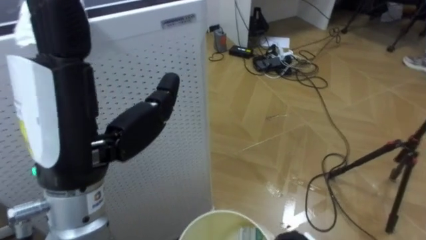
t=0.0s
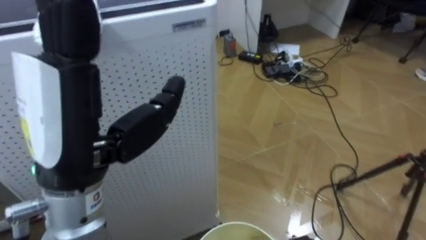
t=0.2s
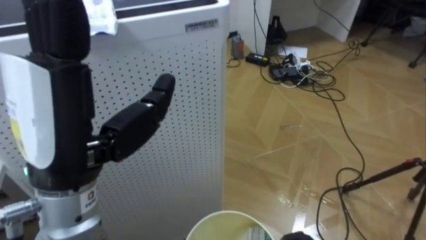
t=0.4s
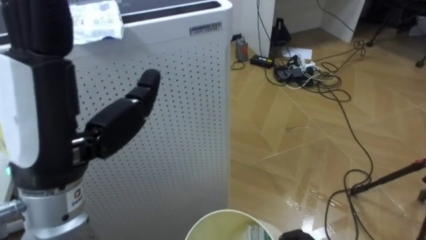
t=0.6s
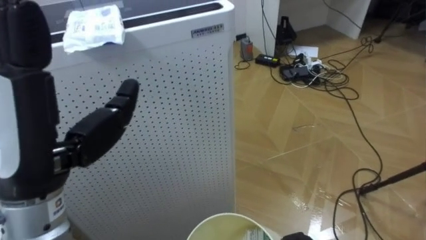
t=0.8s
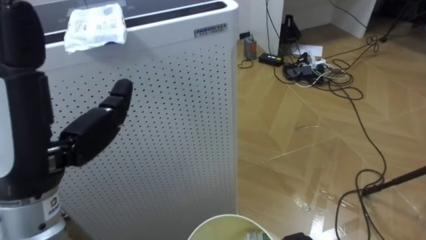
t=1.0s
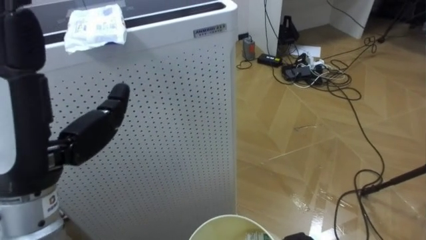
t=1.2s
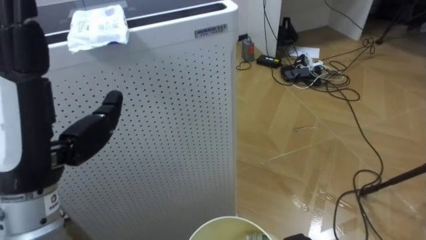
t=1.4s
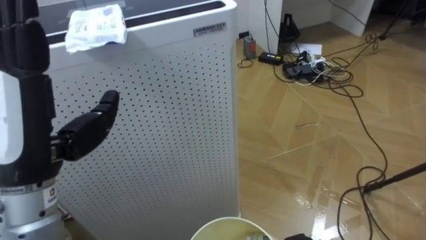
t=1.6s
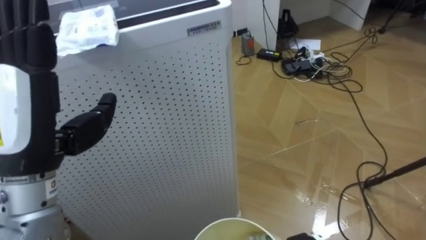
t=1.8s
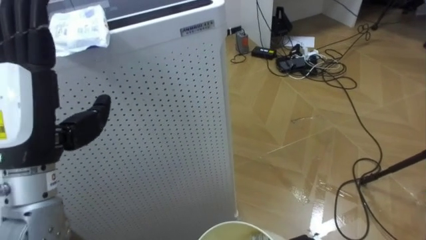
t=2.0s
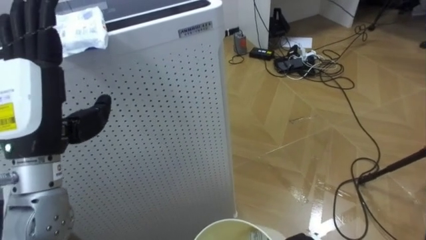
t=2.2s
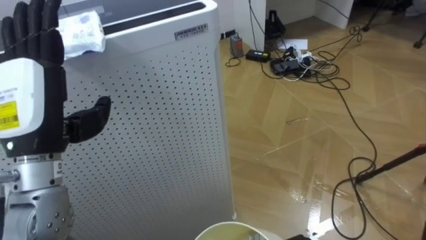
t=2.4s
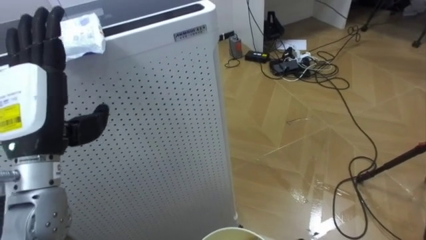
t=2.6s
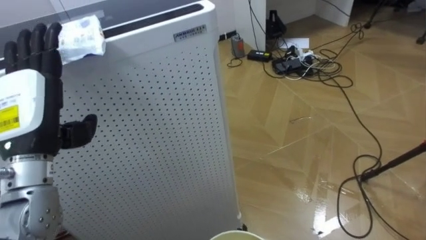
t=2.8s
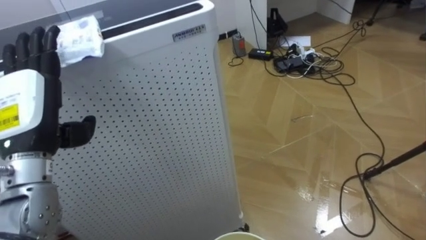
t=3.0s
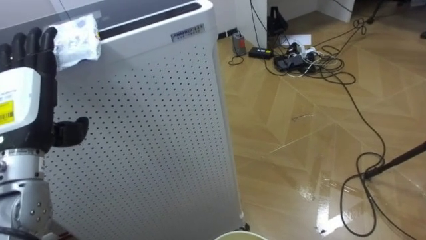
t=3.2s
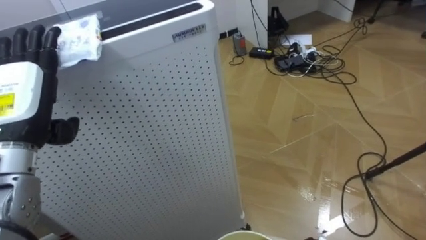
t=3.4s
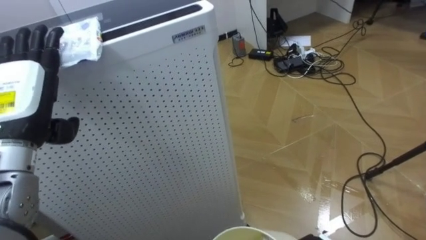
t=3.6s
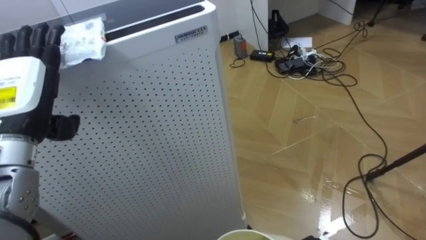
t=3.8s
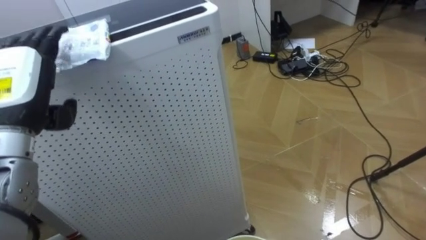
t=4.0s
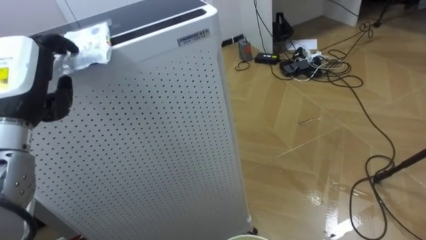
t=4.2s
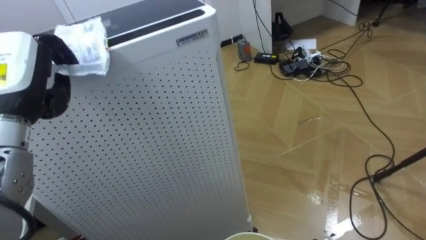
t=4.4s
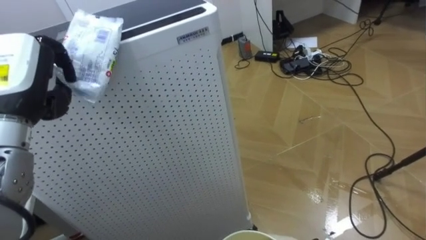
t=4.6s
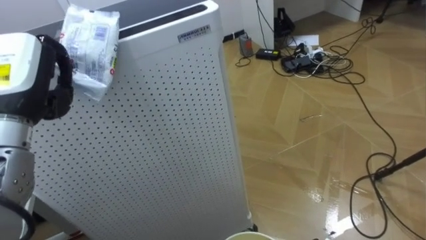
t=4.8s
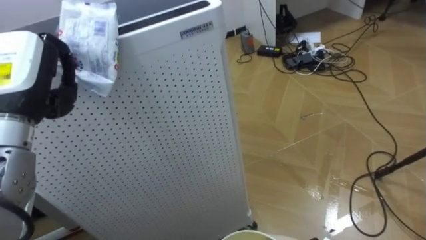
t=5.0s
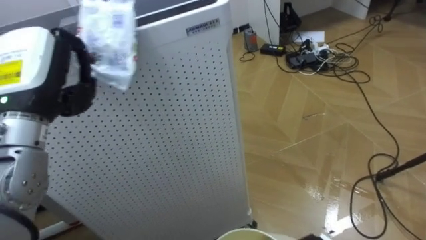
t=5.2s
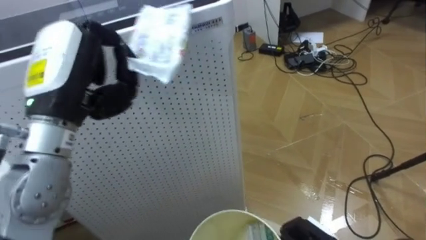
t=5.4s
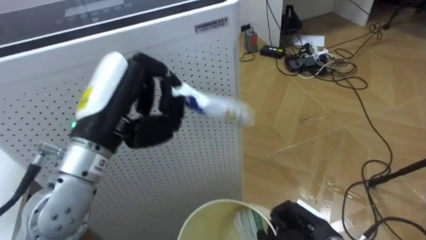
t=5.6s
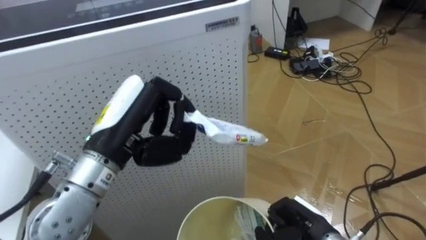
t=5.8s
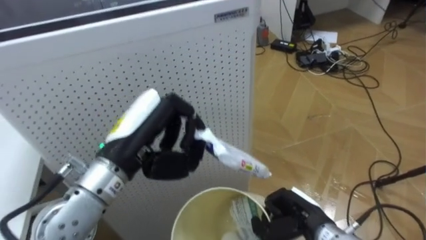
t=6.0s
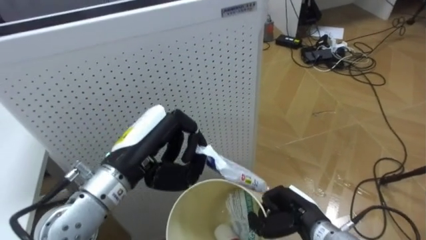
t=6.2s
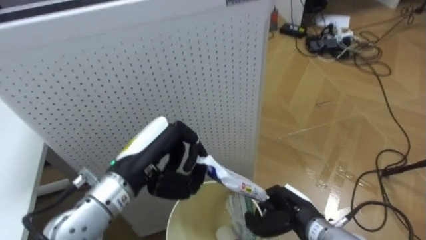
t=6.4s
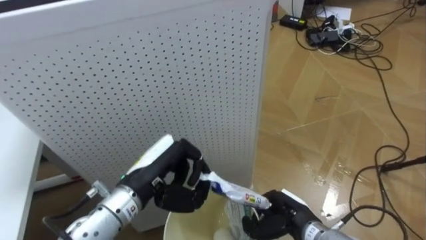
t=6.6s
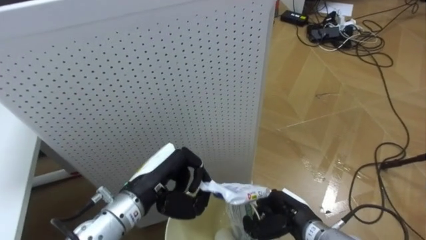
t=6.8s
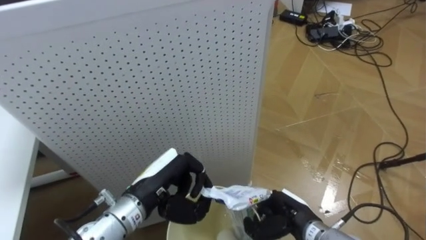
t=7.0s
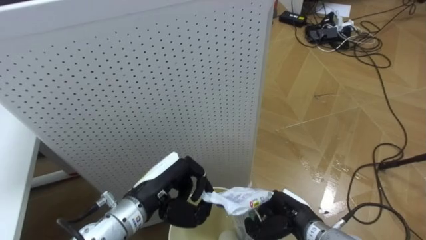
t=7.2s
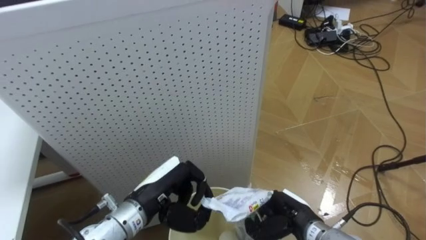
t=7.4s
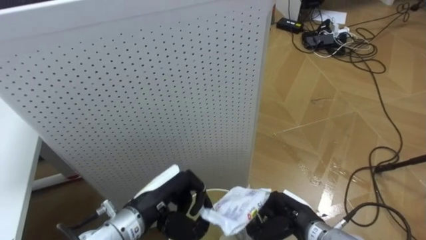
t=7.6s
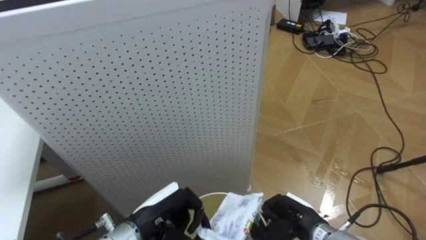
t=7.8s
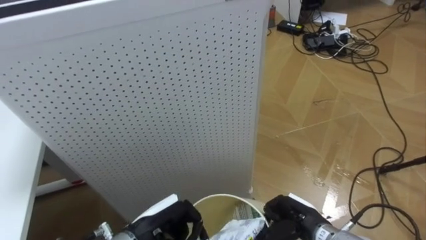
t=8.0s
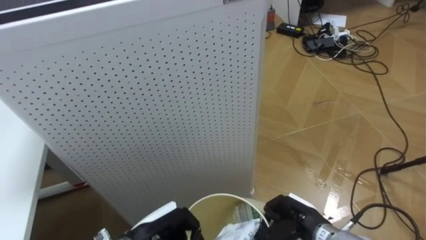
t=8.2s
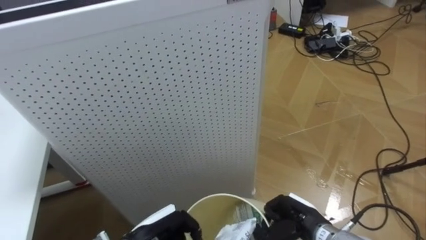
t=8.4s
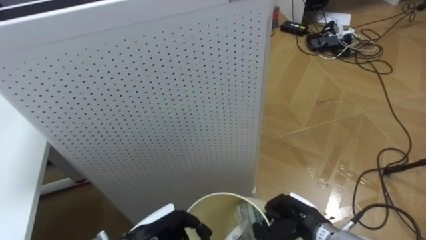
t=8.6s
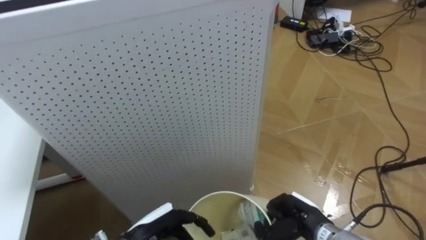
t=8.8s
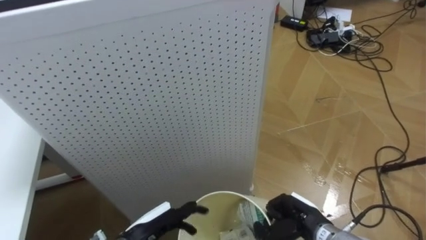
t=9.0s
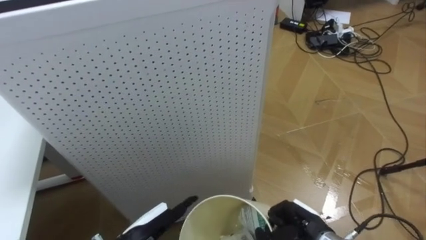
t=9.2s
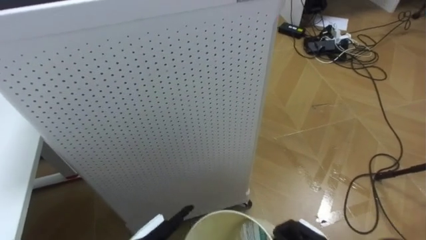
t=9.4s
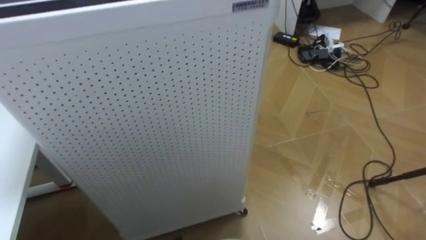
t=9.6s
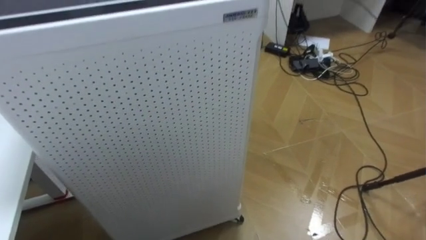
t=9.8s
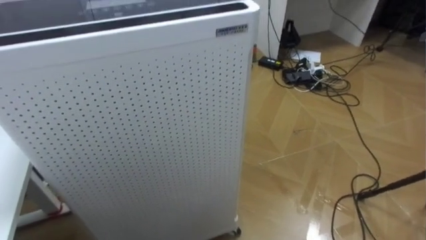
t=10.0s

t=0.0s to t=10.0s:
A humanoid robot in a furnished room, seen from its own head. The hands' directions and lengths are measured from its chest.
Task of the whole recording: Pick up the light blue package, the candy box, and the dark blue package separately, and put them into the trash can held in your right hand.
t=0.0s to t=1.4s: The left hand moves to the left, approximately 5 cm.
t=1.4s to t=2.8s: The left hand shifts some 10 cm forward, downward and to the left.
t=2.8s to t=4.2s: The left hand closes its fingers.
t=4.2s to t=5.8s: The left hand goes about 15 cm to the right, and closes.
t=5.8s to t=7.2s: The left hand moves downward, some 15 cm.
t=7.2s to t=8.6s: The left hand is displaced downward by some 10 cm, and opens up.

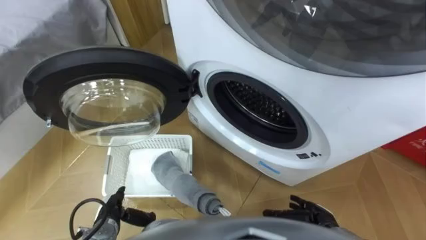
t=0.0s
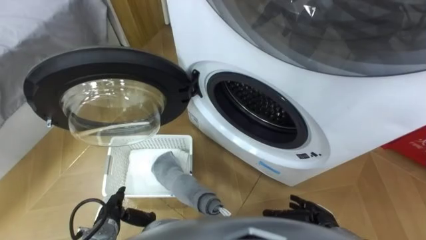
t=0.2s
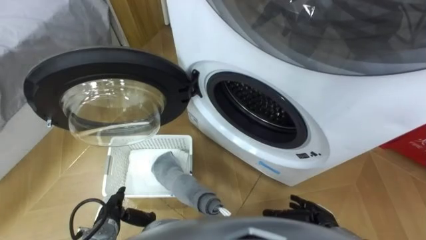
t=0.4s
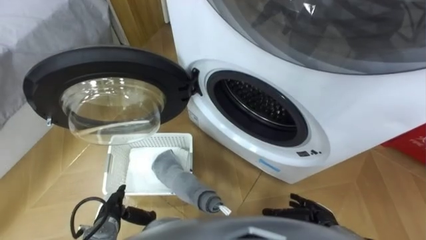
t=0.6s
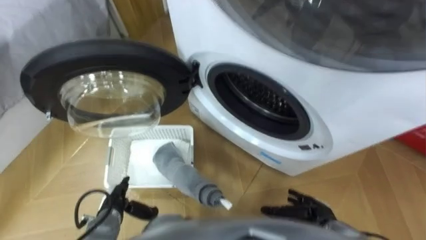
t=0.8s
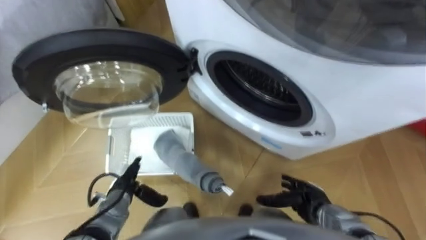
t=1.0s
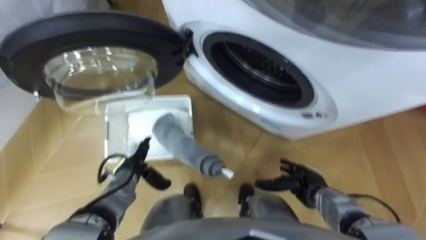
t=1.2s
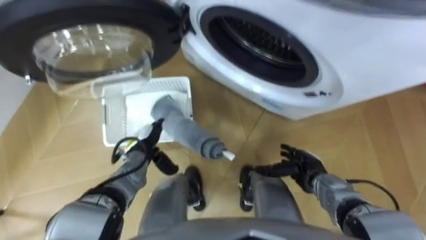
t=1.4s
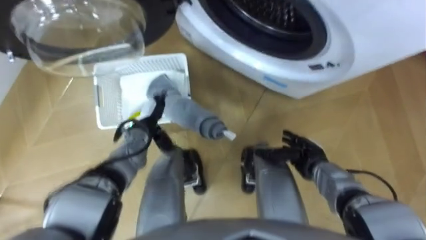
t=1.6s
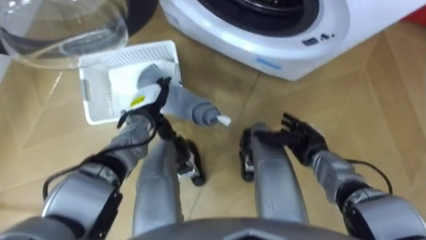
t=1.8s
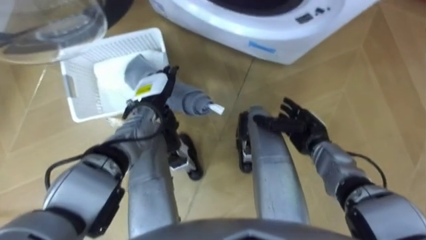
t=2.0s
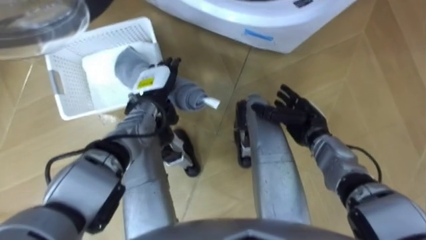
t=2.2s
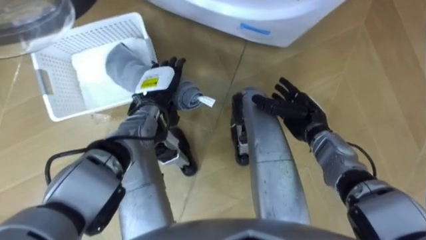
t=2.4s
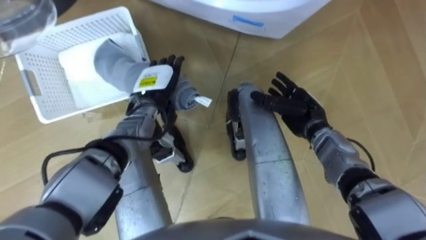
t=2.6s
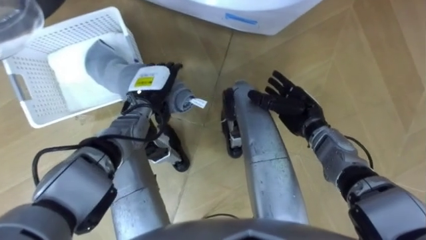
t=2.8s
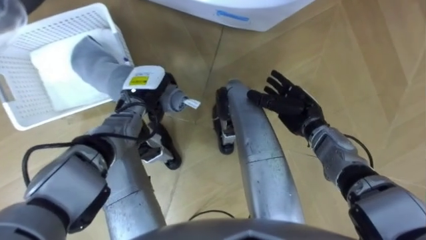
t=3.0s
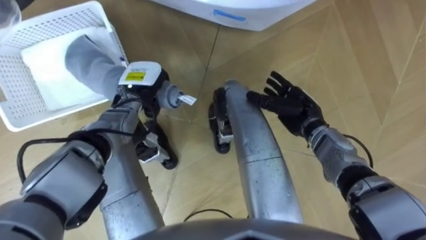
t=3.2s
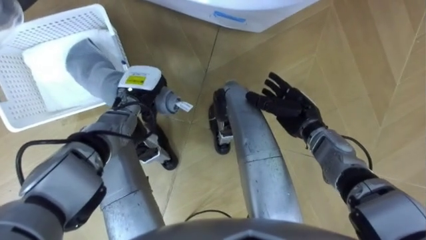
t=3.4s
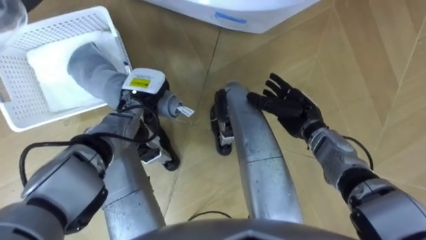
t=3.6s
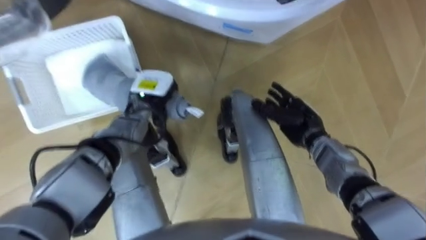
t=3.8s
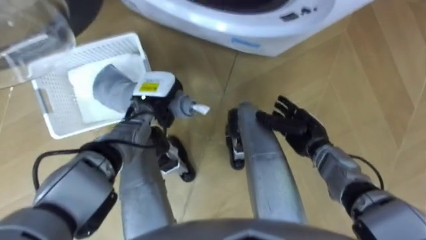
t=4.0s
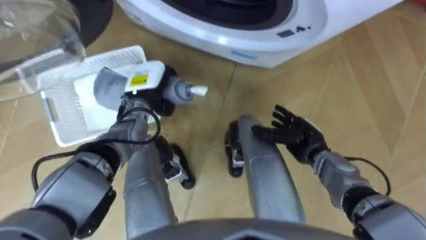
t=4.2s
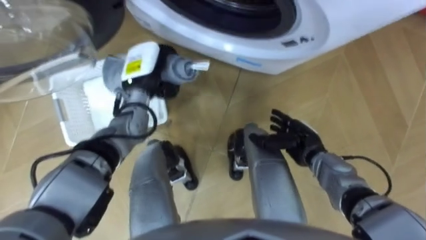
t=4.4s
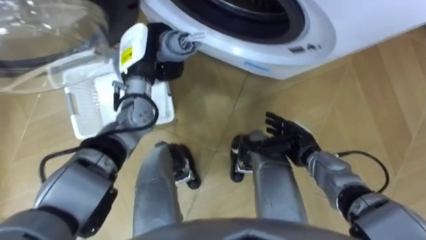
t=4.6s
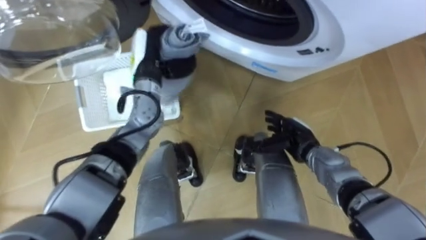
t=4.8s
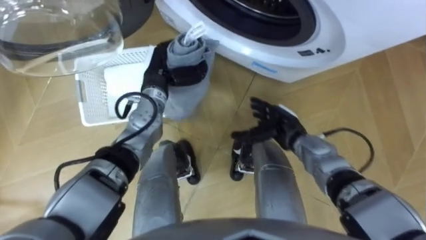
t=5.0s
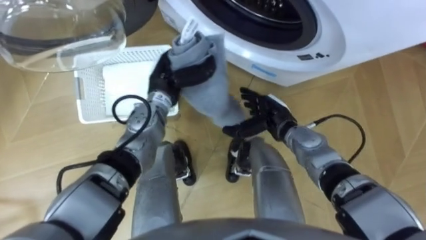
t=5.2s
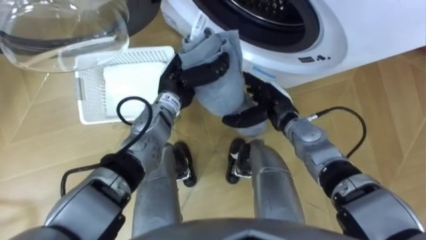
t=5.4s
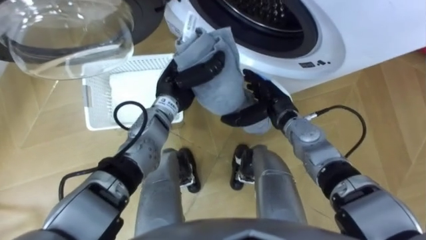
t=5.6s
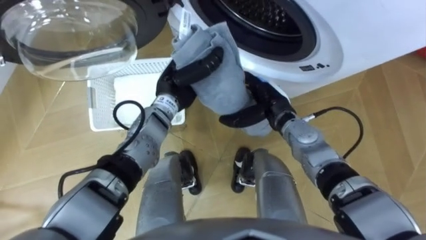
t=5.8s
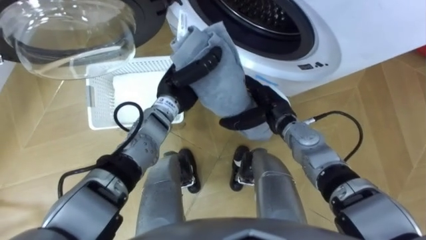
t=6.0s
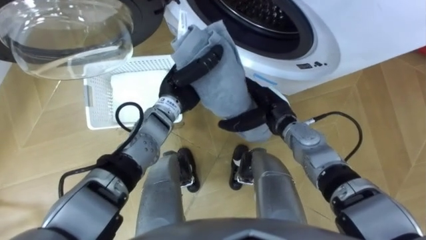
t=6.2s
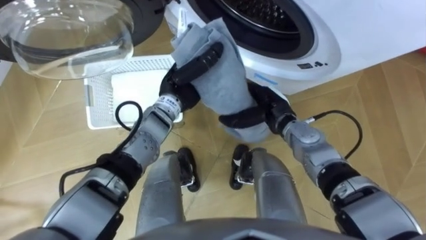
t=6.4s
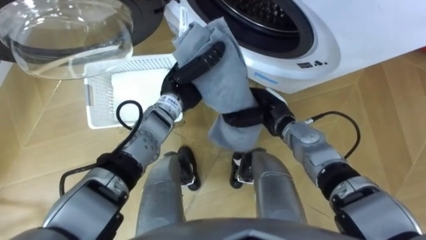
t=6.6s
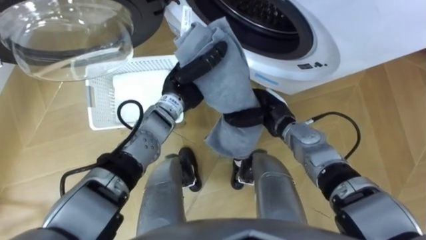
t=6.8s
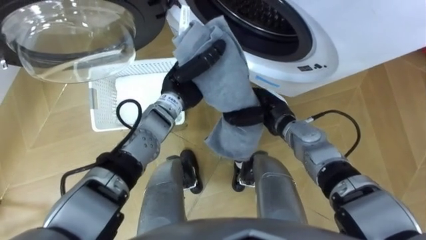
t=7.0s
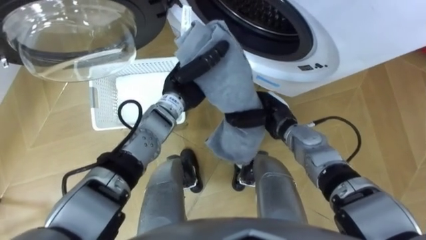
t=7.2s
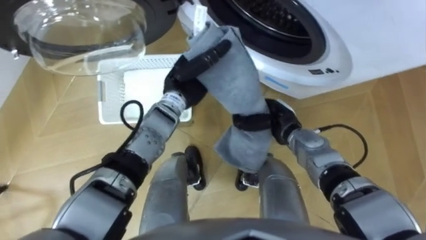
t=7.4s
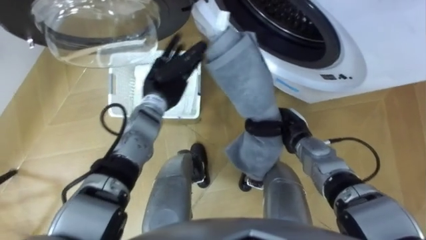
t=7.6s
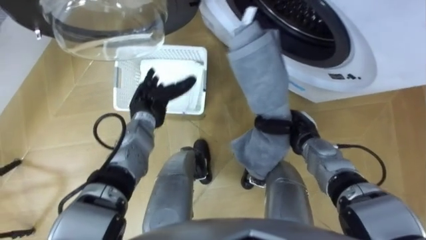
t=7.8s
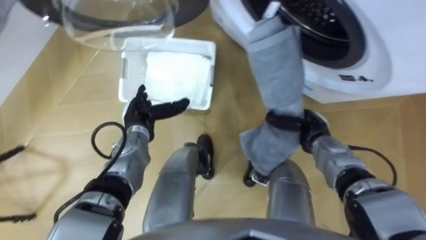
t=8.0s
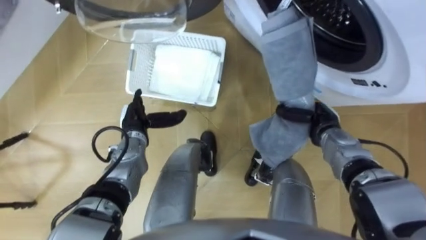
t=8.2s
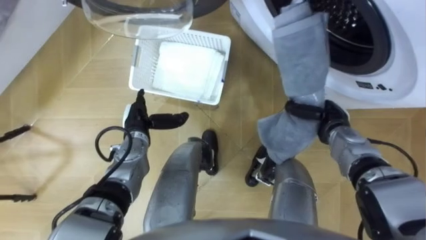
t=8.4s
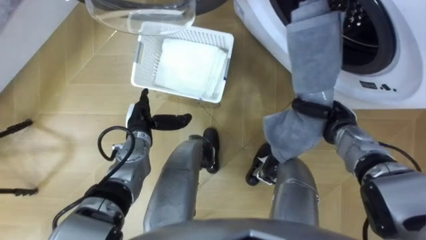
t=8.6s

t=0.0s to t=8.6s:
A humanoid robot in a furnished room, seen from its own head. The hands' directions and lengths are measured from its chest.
Task of the whole recording: Take the towel from the basket and put it into the washing machine.
t=1.4s to t=2.8s: The two hands go about 15 cm forward and upward.
t=2.8s to t=4.4s: The left hand changes place by approximately 5 cm, and closes its fingers, while the right hand goes some 5 cm backward.
t=4.4s to t=5.8s: The right hand moves to the left, forward and upward, about 10 cm, while the left hand goes some 10 cm to the right.
t=5.8s to t=7.2s: The right hand closes up.
t=7.2s to t=8.6s: The right hand moves to the right, roughly 15 cm. Meanwhile the left hand is displaced to the left, downward and backward by about 15 cm, and opens.
